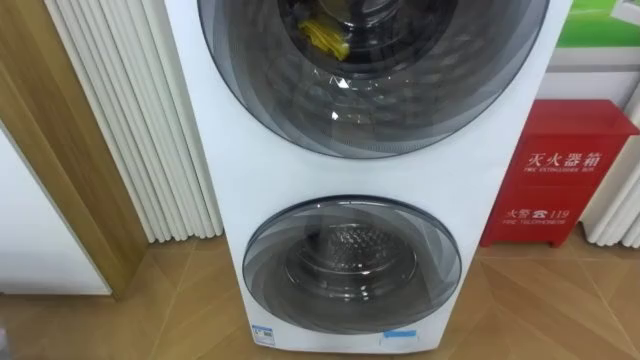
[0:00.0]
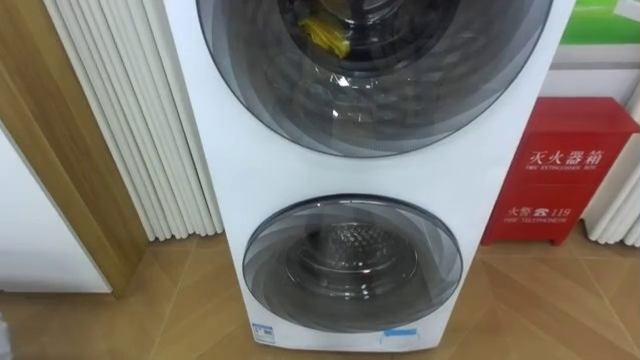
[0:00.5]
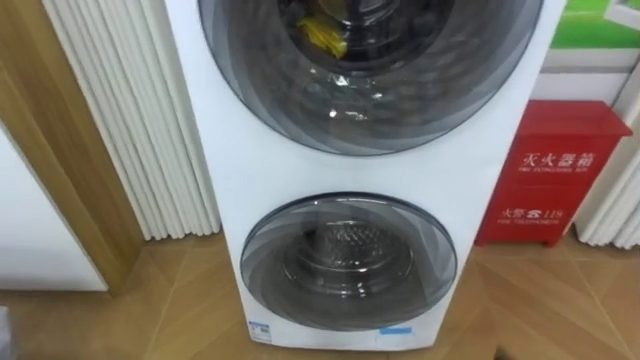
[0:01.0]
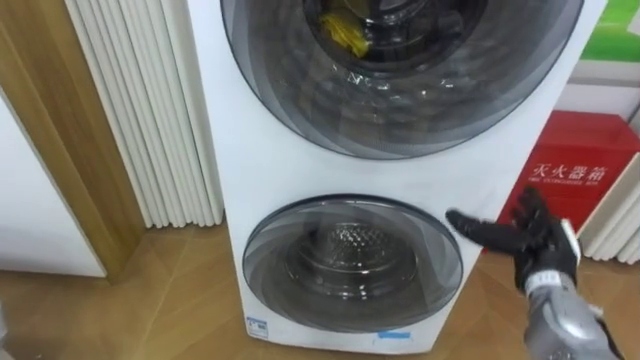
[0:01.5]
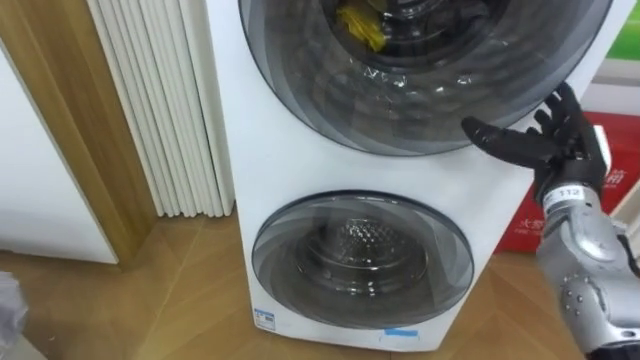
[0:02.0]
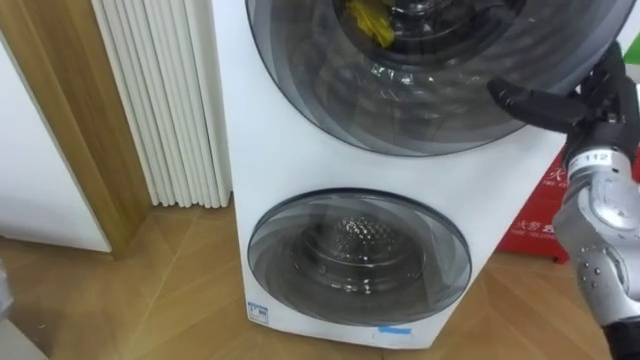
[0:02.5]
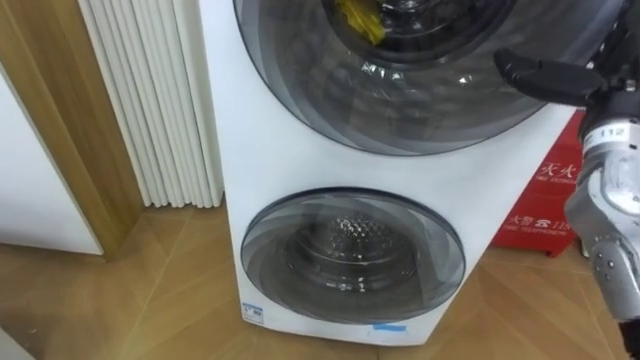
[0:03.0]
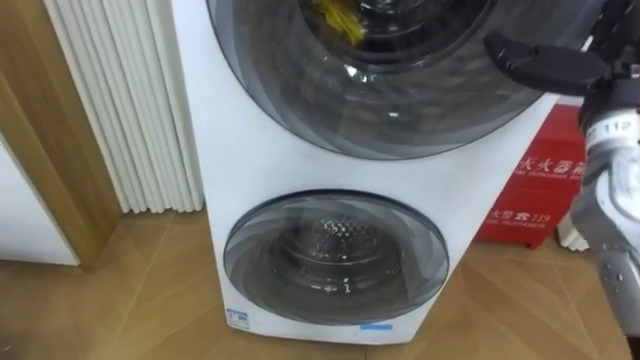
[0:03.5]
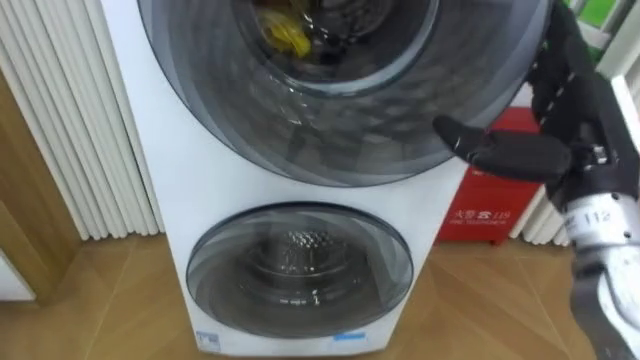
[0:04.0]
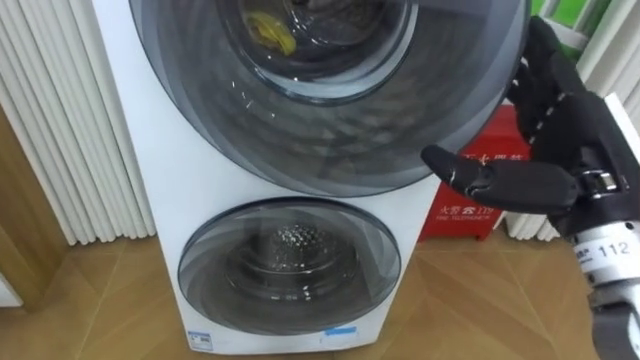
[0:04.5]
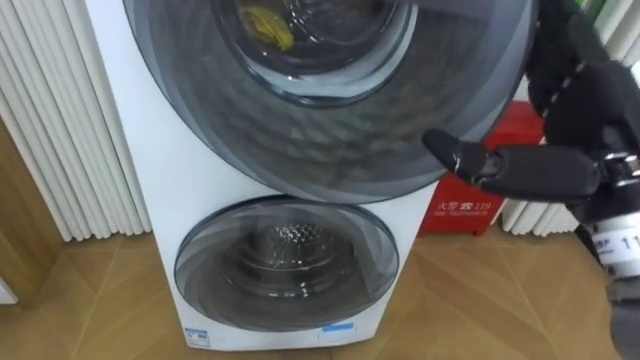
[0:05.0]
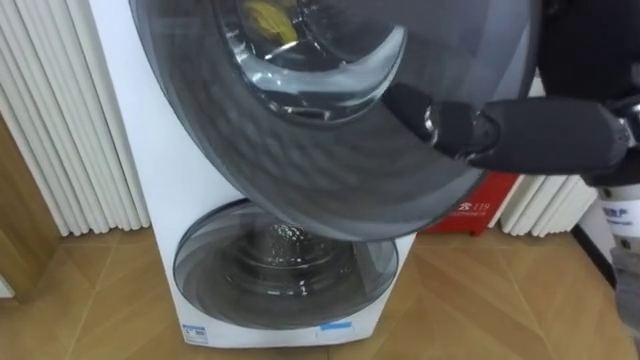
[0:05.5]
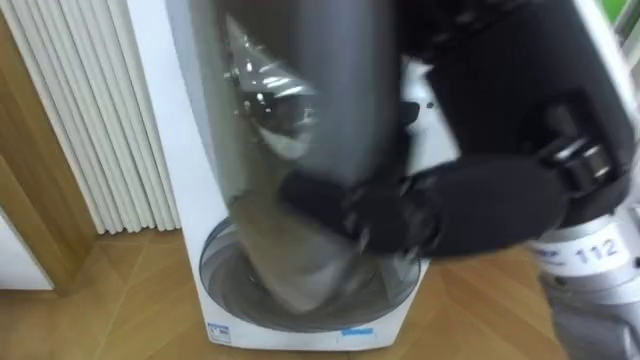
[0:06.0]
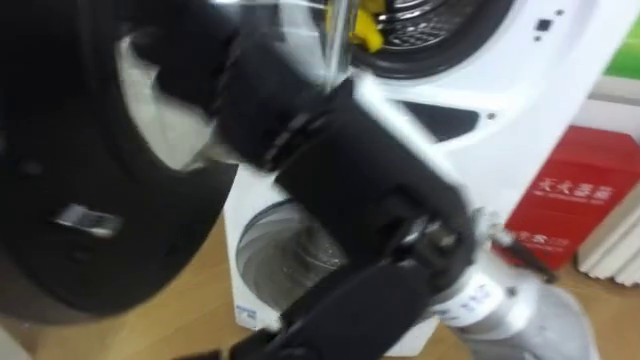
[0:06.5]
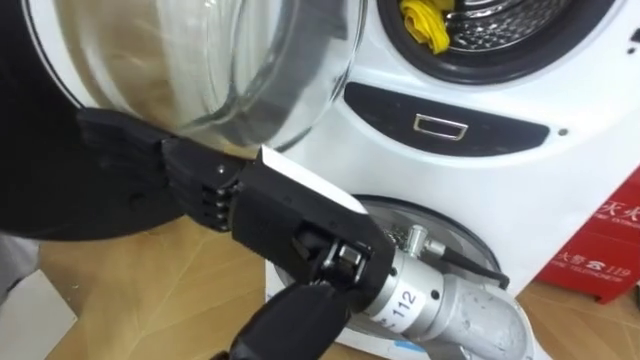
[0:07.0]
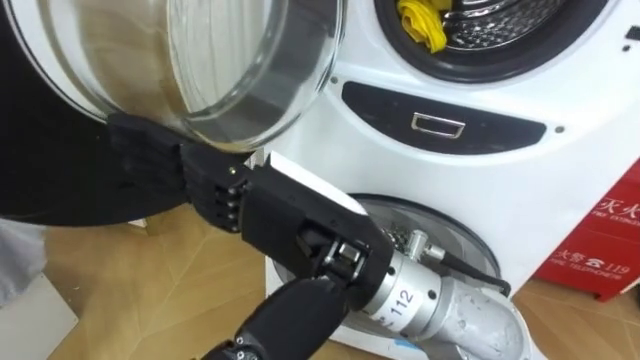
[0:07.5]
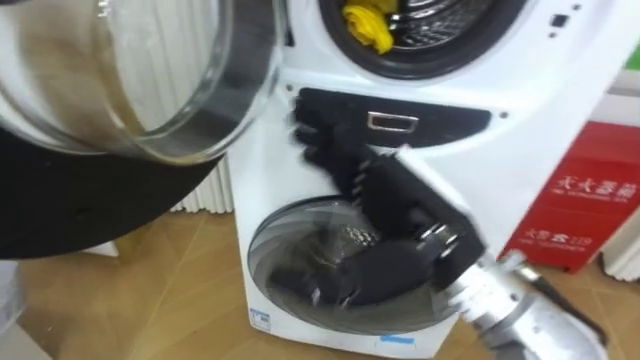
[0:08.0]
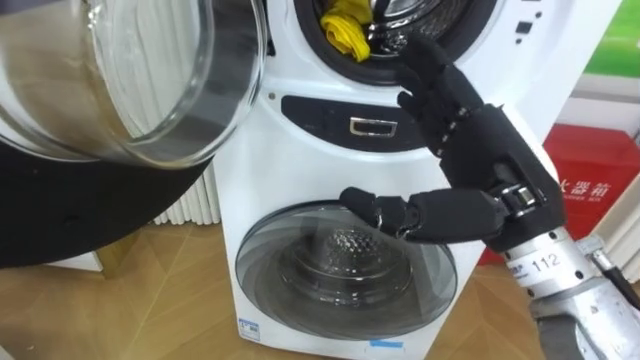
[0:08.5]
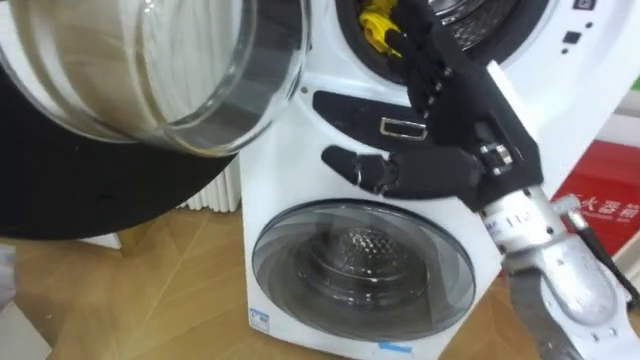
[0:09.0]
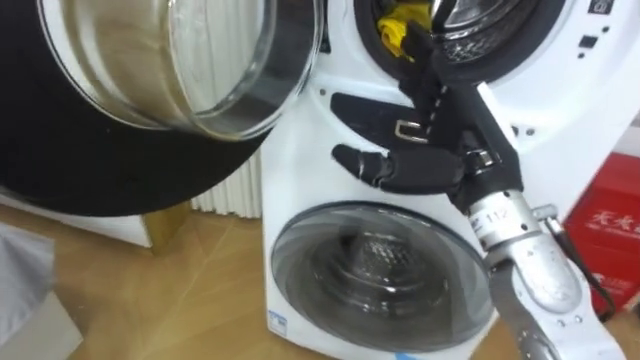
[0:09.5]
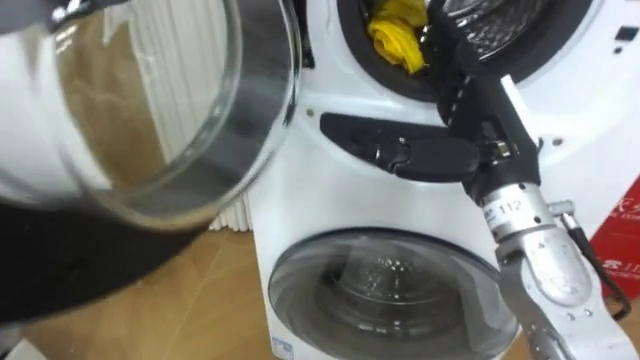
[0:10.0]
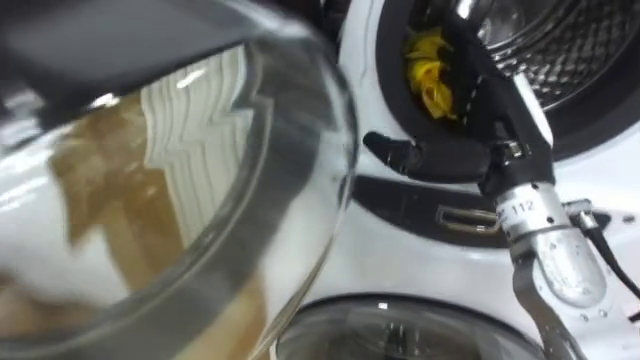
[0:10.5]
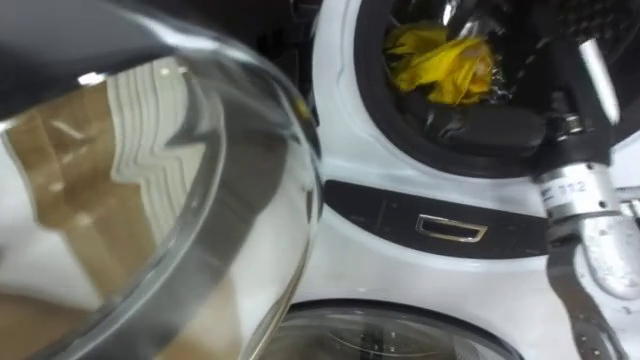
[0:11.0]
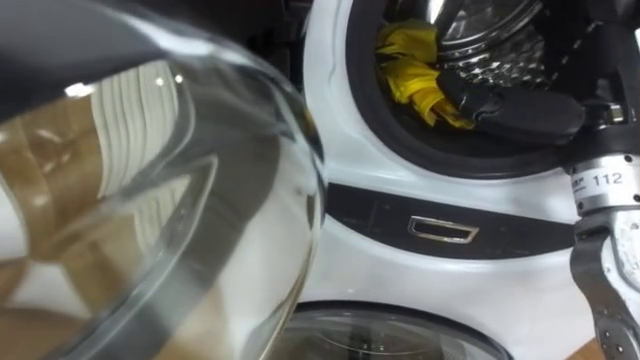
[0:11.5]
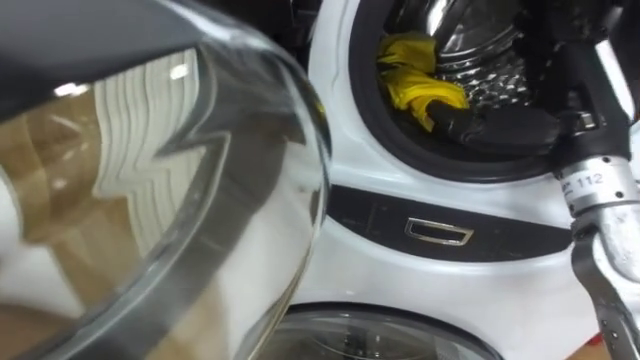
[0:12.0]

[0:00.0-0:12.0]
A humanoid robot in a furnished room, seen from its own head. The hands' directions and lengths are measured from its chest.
Task of the whole recording: Open the washing machine door, take out the yellow clothes, place them in the box on the right, and close the washing machine door.
0:02.0 to 0:04.0: The right hand moves upward and backward, some 10 cm.
0:04.0 to 0:06.0: The right hand heads to the left, upward and backward, covering some 20 cm.
0:06.0 to 0:08.0: The right hand moves downward, approximately 10 cm.
0:08.0 to 0:10.0: The right hand travels to the right and forward by roughly 10 cm.
0:10.0 to 0:12.0: The right hand is displaced to the right by some 5 cm.

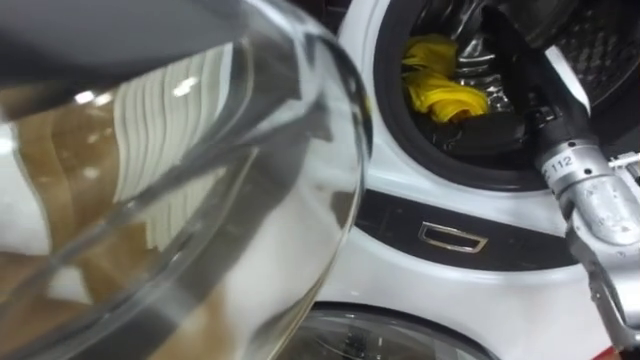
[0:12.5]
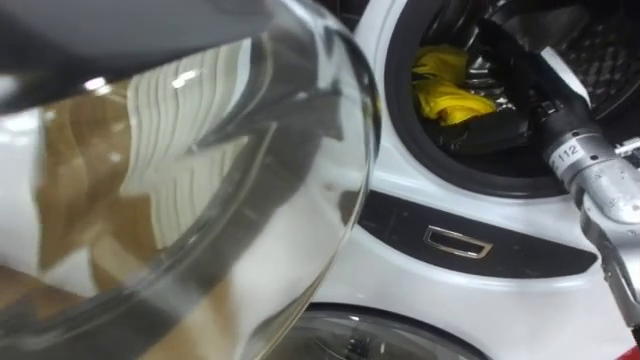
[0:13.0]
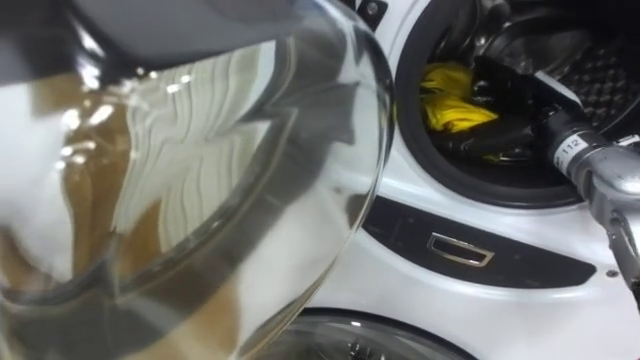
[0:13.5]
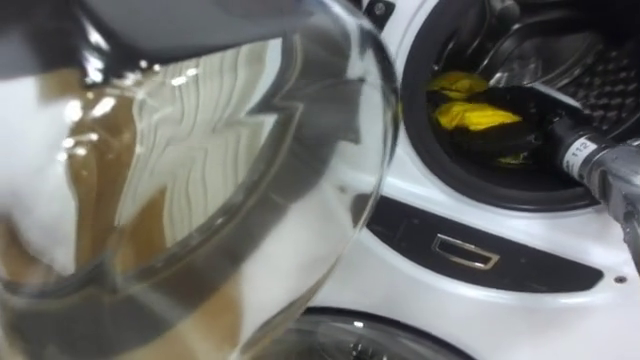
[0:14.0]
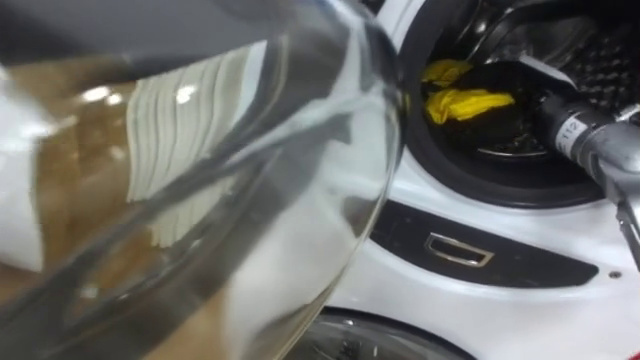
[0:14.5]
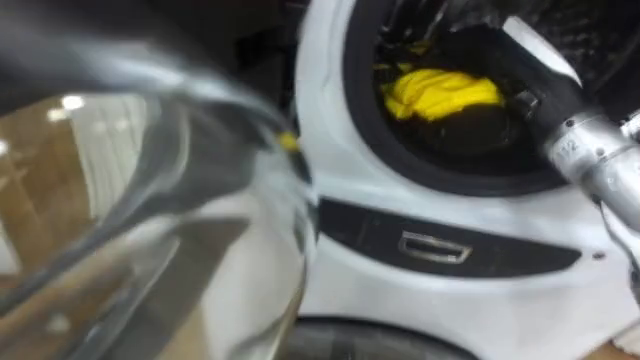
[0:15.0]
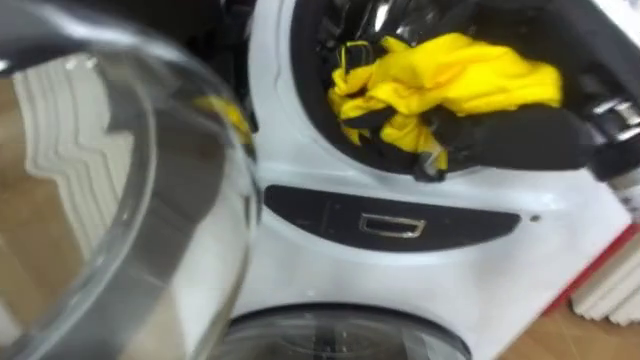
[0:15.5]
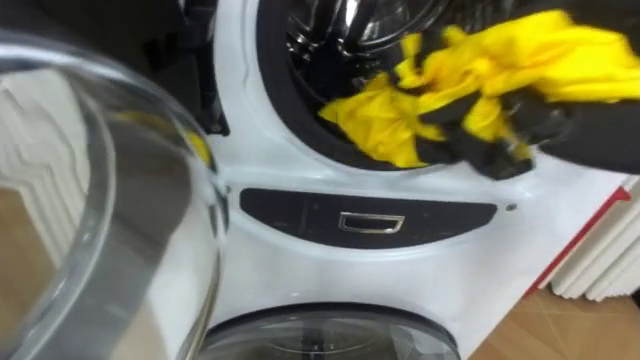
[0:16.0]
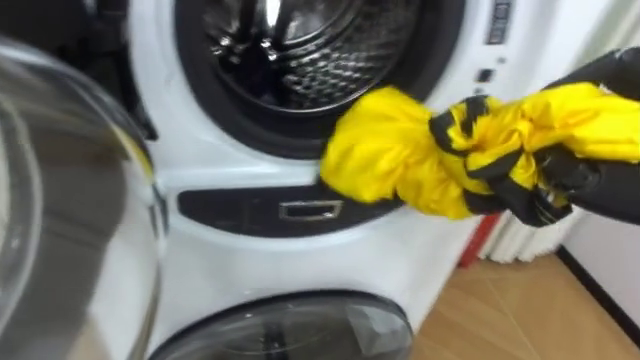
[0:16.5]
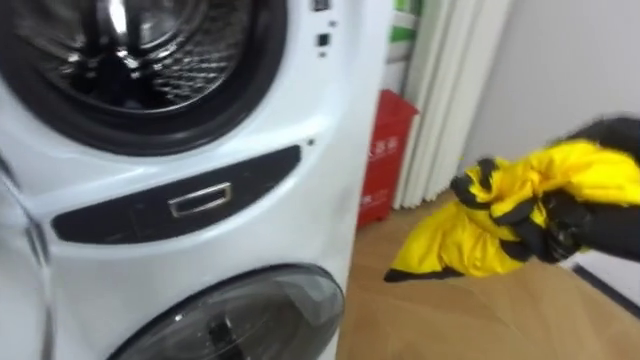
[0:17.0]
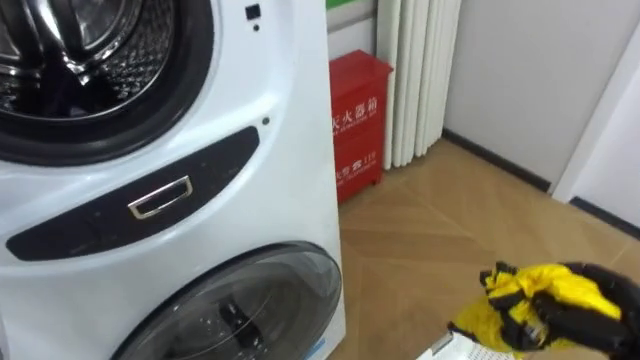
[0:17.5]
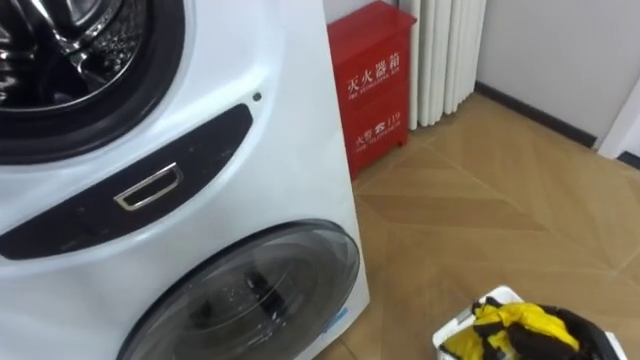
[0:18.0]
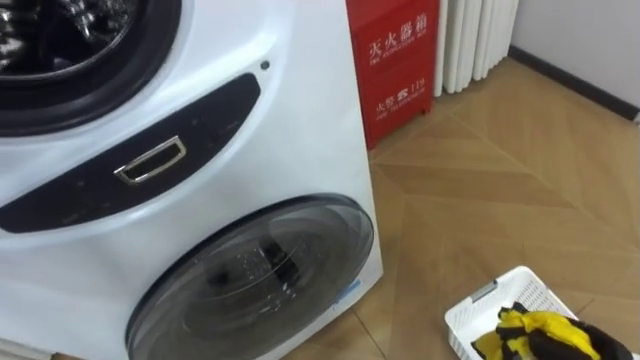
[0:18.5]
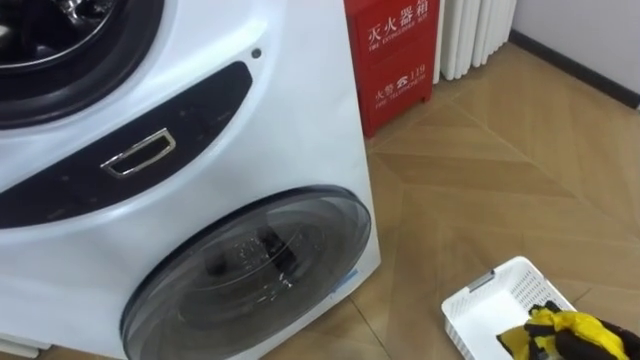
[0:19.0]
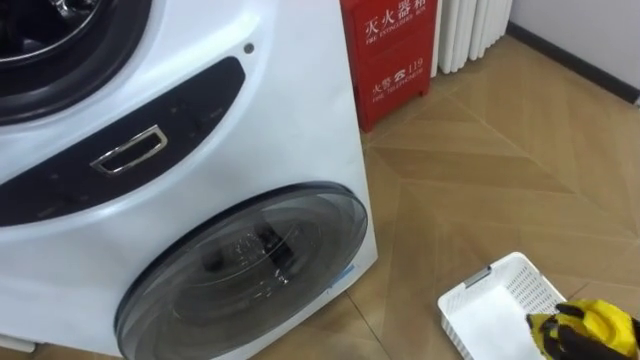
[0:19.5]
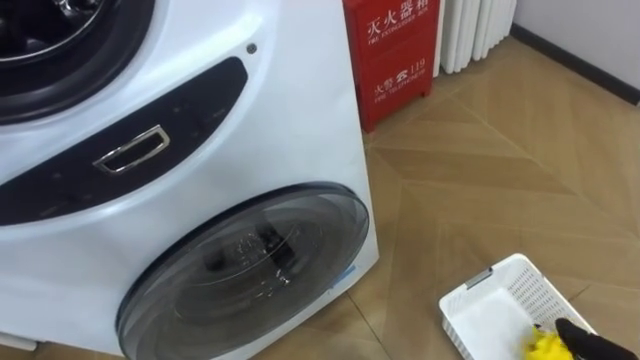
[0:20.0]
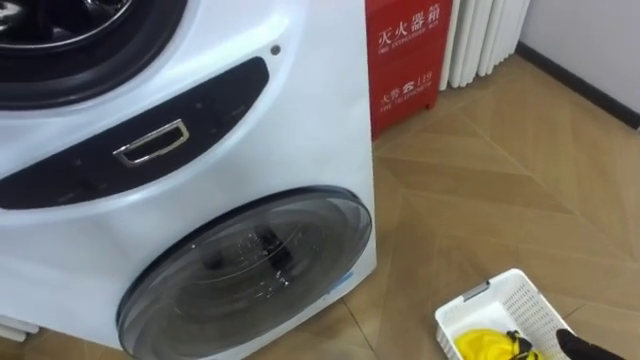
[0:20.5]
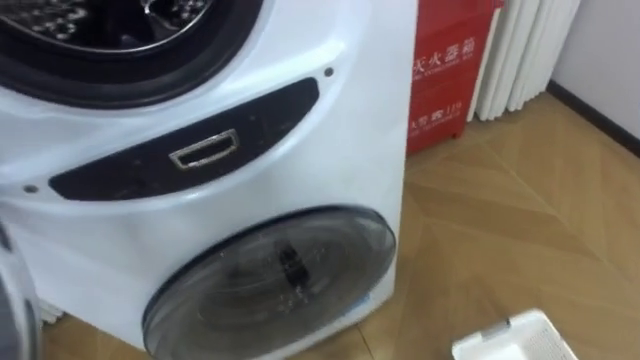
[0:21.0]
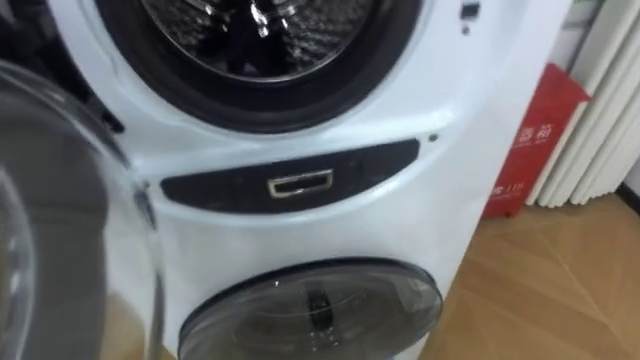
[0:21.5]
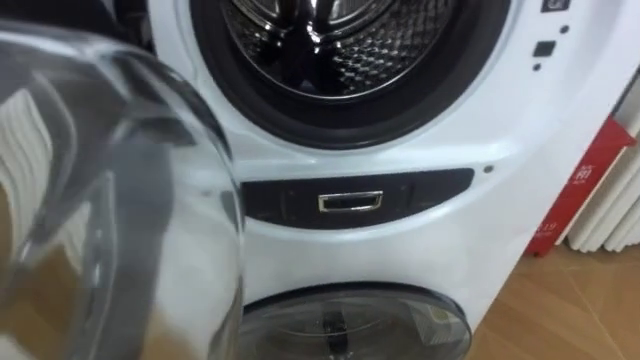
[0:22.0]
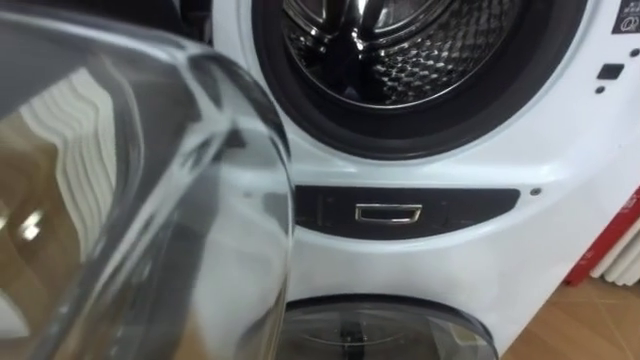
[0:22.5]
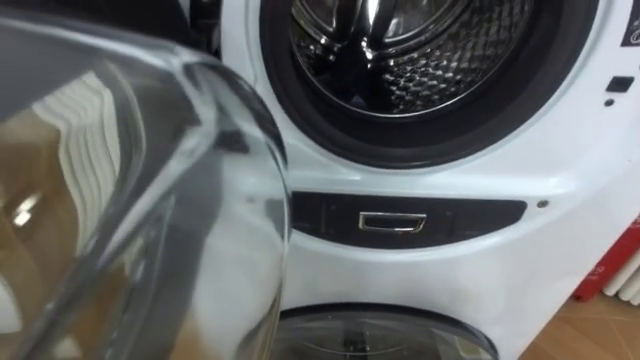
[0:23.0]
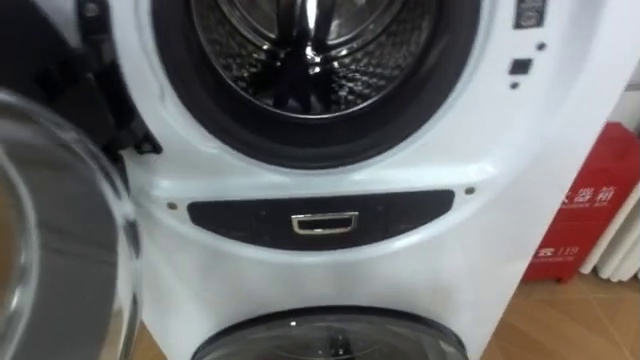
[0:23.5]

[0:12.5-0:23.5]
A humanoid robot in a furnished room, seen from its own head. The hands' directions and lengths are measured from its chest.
Task of the whole recording: Open the washing machine door, take out the yellow clothes, place them in the box on the right, and close the washing machine door.
0:12.5 to 0:14.5: The right hand closes its fingers.
0:16.0 to 0:18.0: The robot's body swings about 25 degrees to its right.
